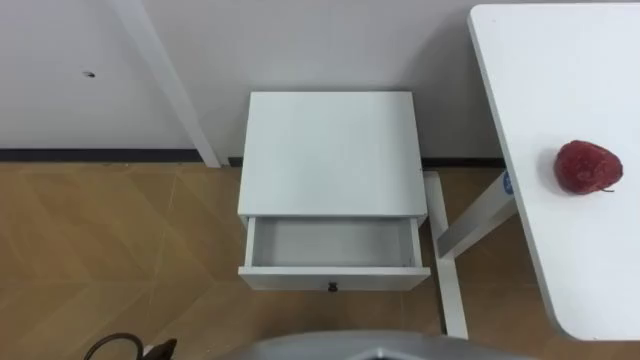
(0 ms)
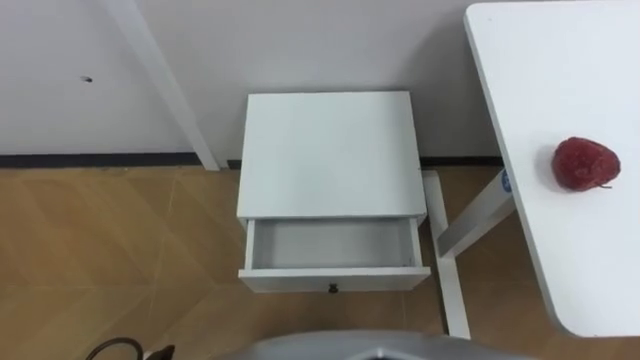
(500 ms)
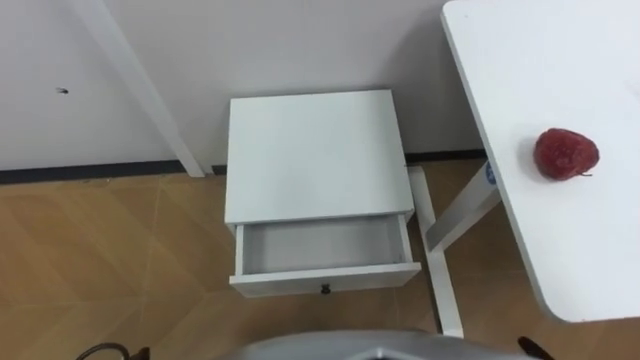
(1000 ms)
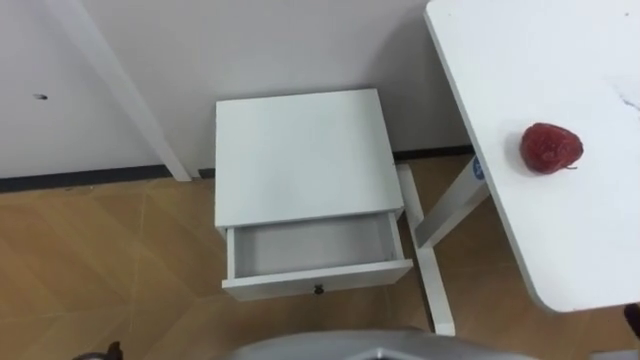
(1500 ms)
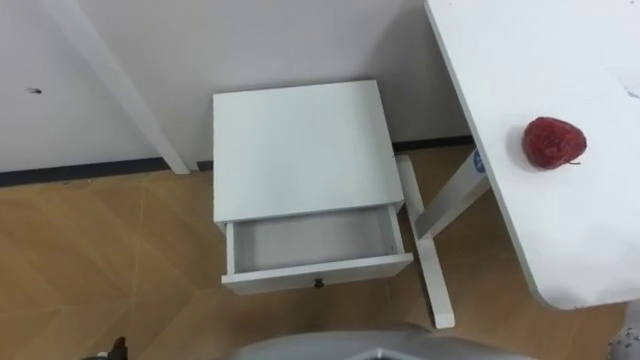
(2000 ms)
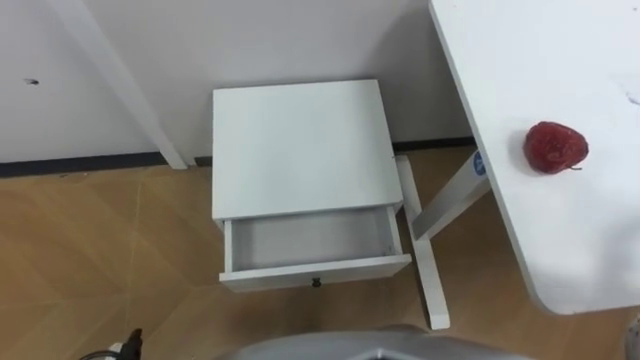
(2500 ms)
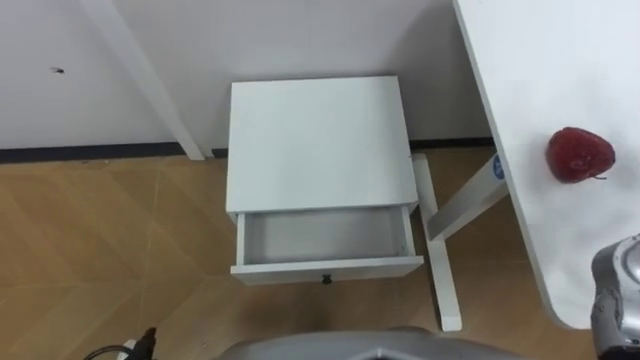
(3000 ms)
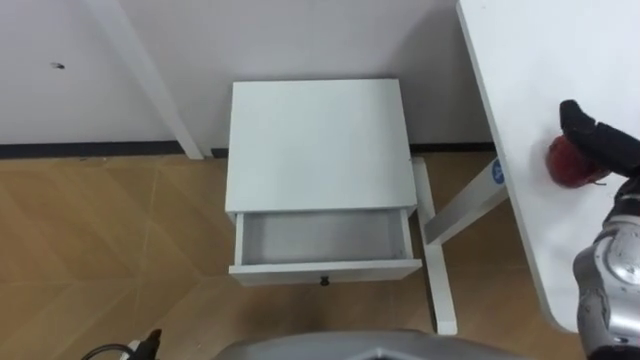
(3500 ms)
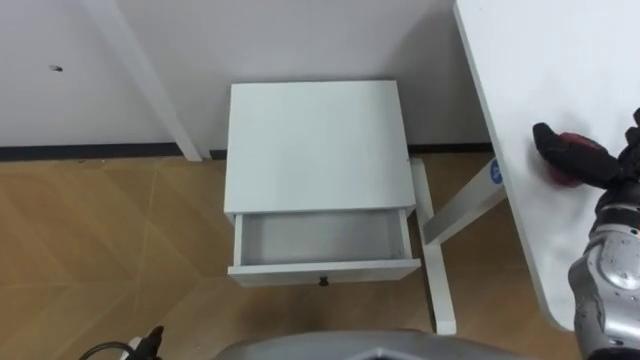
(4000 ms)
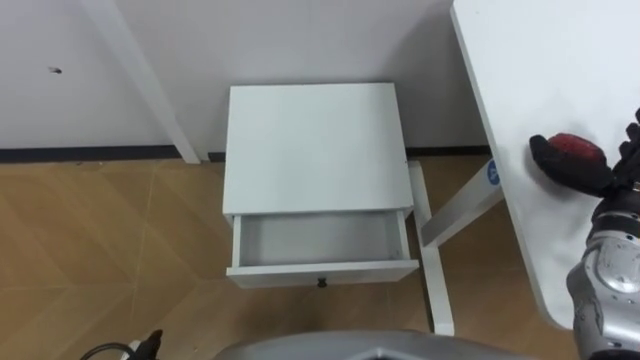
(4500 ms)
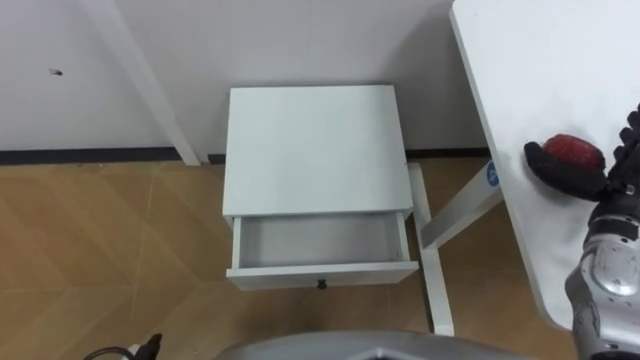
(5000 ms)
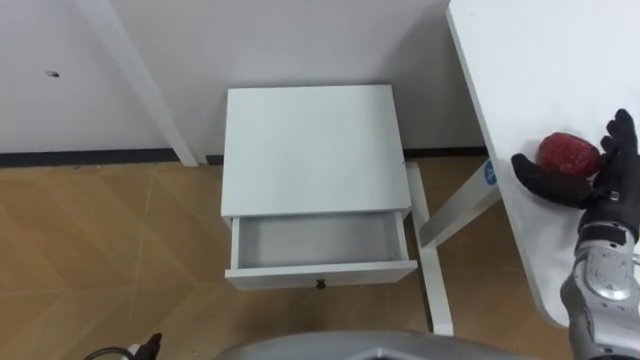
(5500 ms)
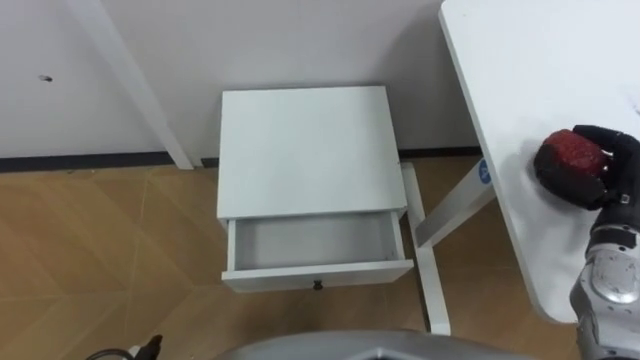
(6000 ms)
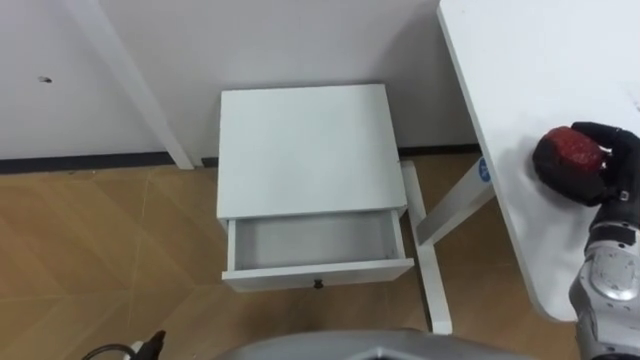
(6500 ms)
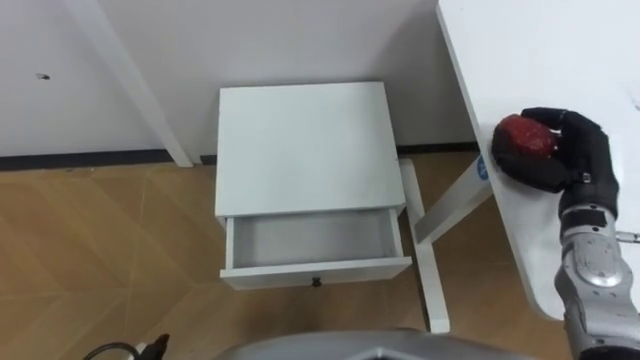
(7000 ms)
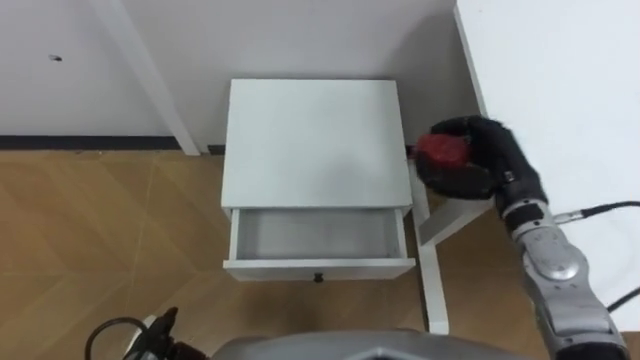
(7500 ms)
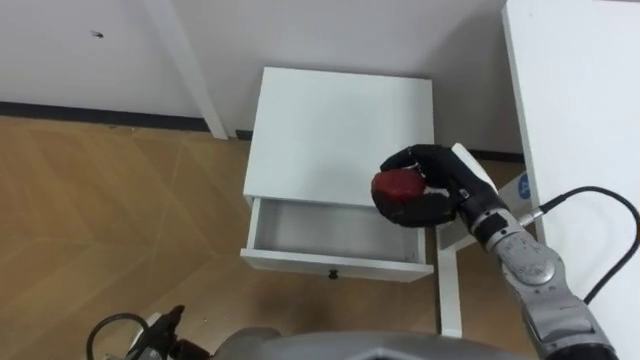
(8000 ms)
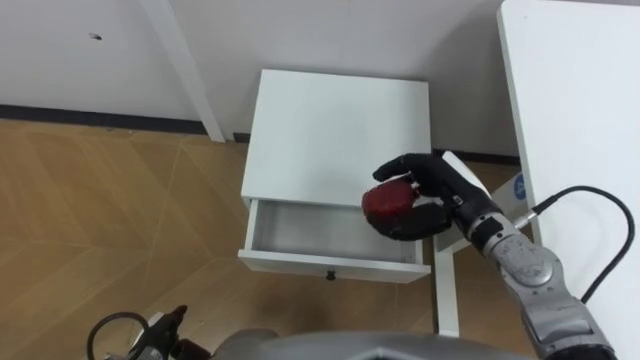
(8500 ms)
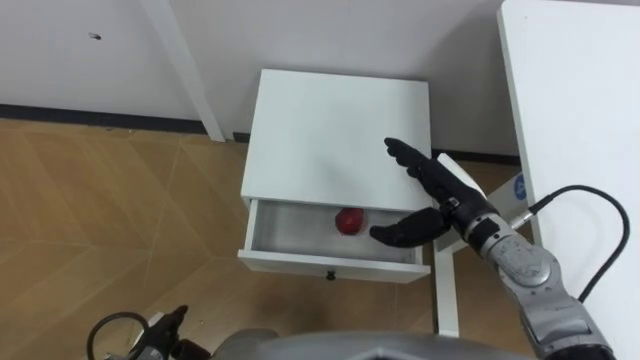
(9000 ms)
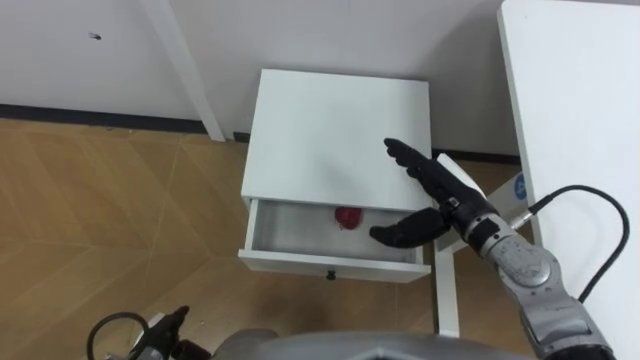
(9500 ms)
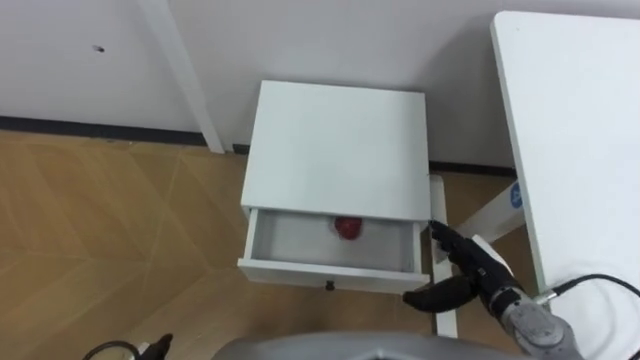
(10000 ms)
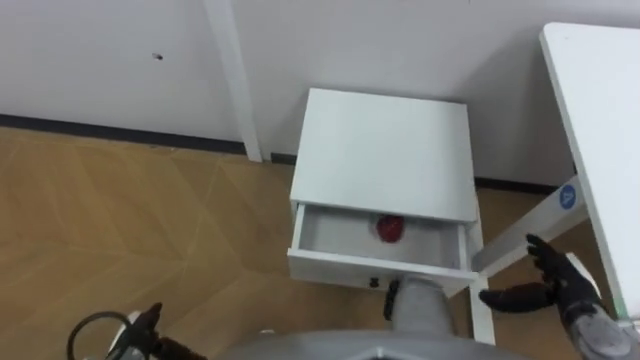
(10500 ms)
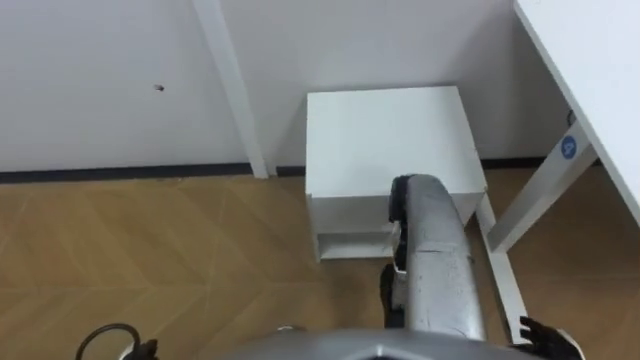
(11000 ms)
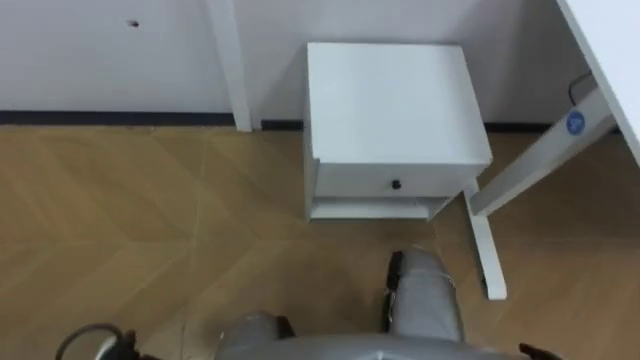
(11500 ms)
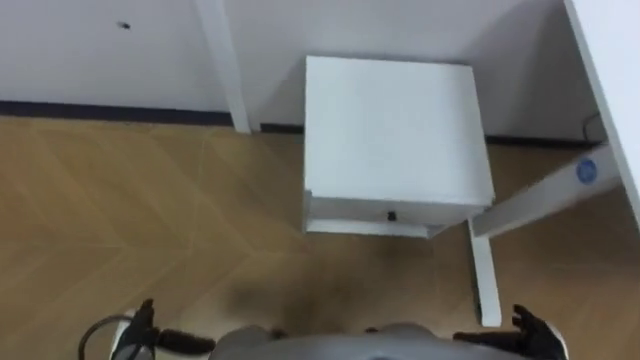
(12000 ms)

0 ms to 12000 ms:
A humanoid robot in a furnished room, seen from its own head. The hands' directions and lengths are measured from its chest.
Task of the whole recording: Pick up the apple from the table, put it in the drawer, and close the drawer with leg.
4000 ms to 6000 ms: The right hand closes.
6000 ms to 8000 ms: The right hand heads to the left, covering approximately 15 cm.
8000 ms to 10000 ms: The right hand goes approximately 15 cm downward and backward, and opens.

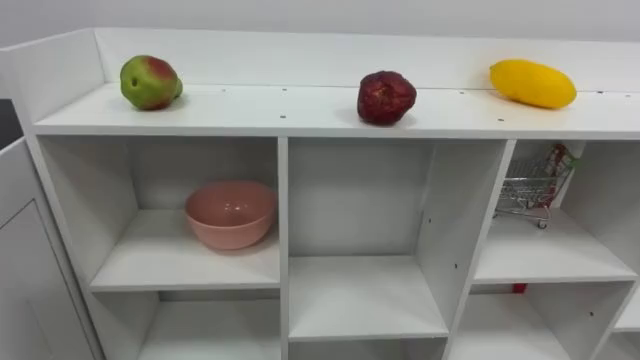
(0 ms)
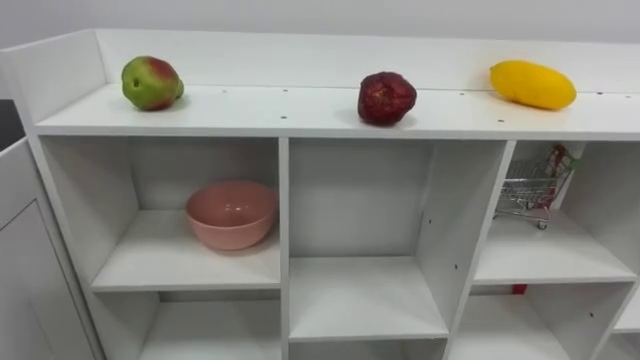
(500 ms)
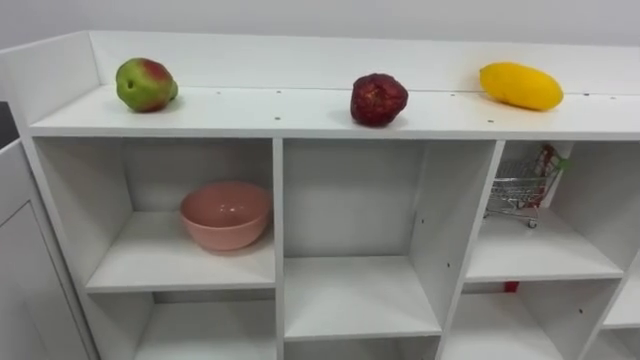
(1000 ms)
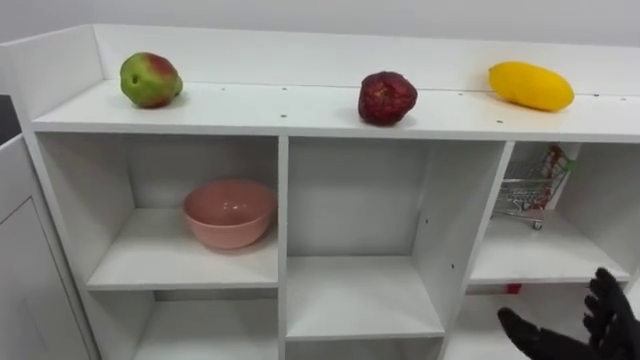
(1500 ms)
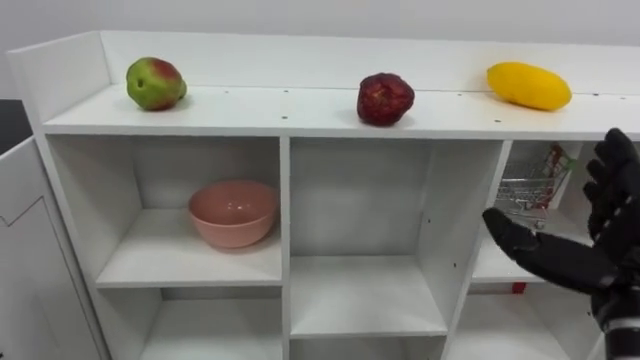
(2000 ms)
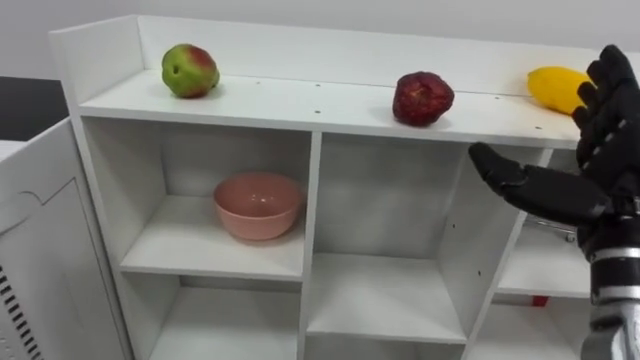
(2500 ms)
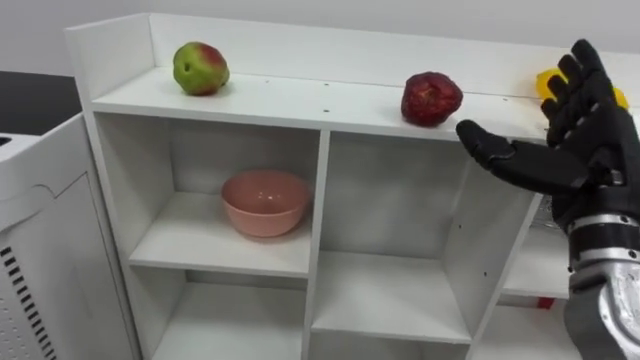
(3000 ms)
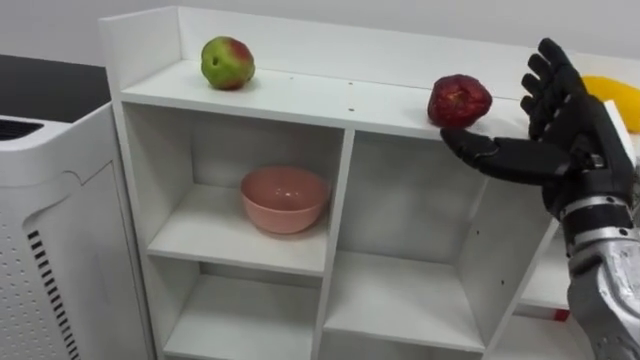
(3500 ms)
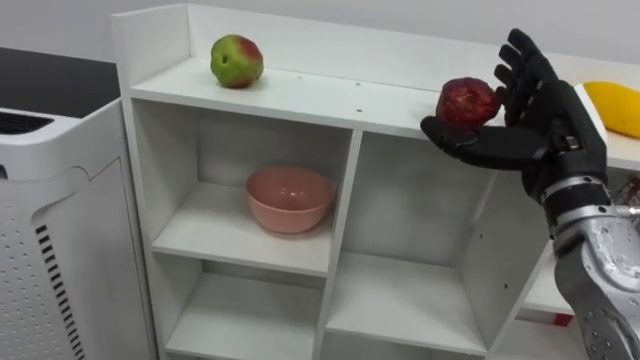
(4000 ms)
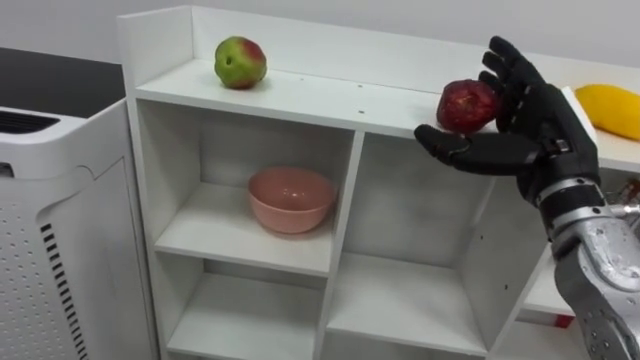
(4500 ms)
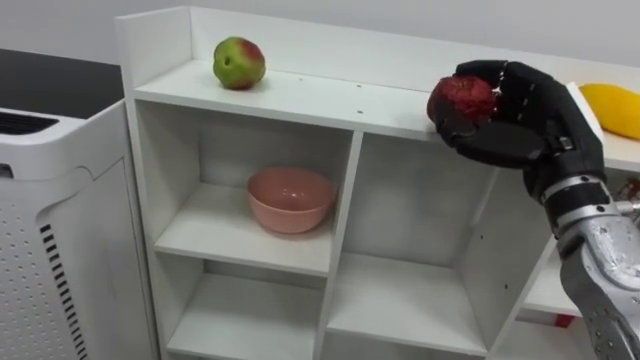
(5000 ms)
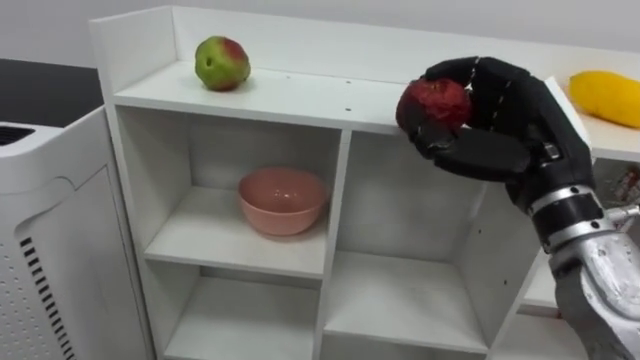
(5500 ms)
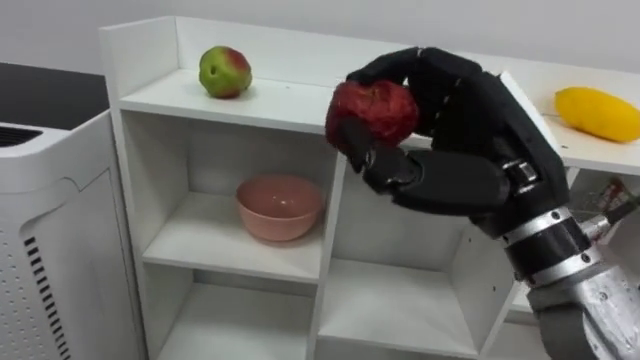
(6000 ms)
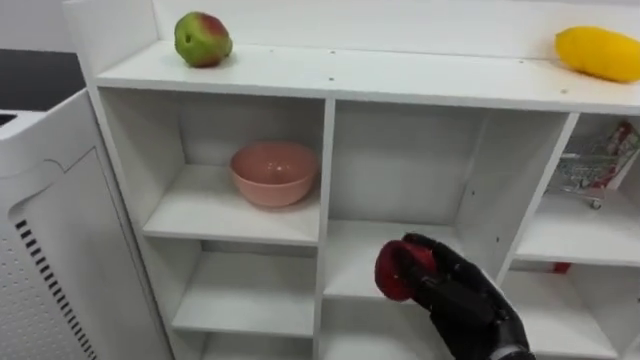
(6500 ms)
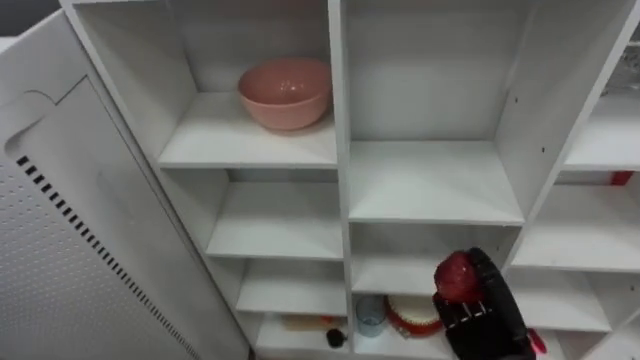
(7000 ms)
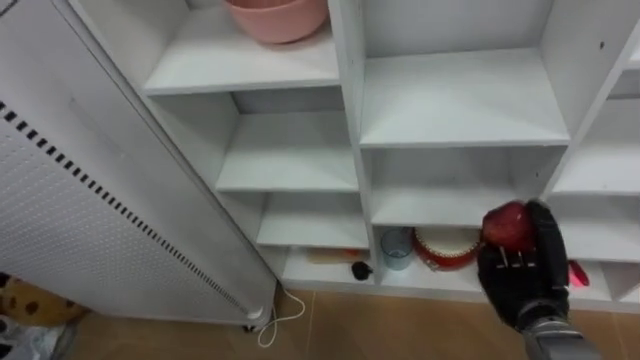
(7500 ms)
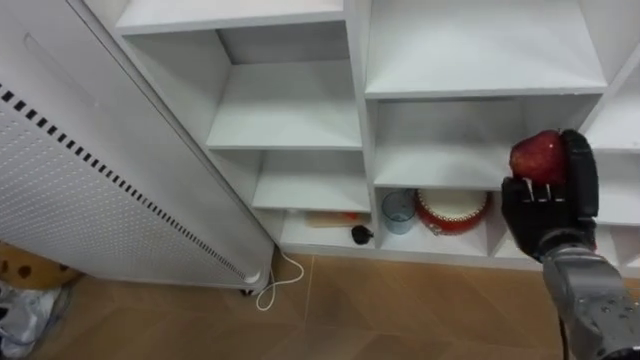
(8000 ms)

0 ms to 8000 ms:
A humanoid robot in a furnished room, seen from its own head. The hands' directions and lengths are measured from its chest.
Task of the whole recording: Put the apple in the cell in the second column from the left and the second row from the top.
2000 ms to 4000 ms: The right hand is displaced forward, upward and to the left by roughly 15 cm.
4000 ms to 6000 ms: The right hand moves to the left and backward, roughly 10 cm, and closes up.
6000 ms to 8000 ms: The right hand heads downward, to the right and forward, covering approximately 25 cm.
